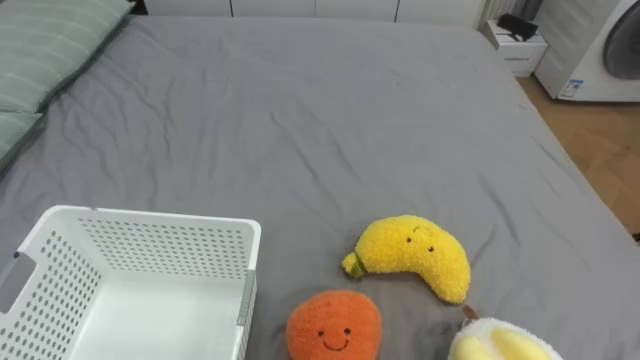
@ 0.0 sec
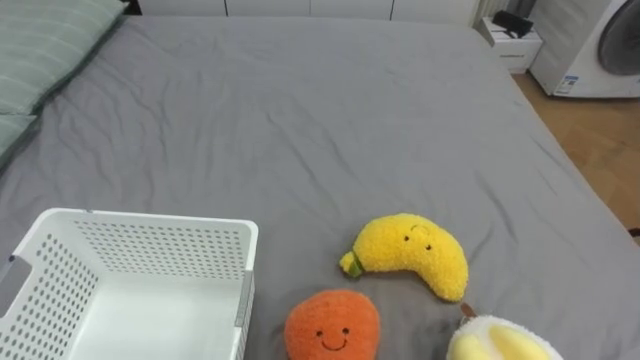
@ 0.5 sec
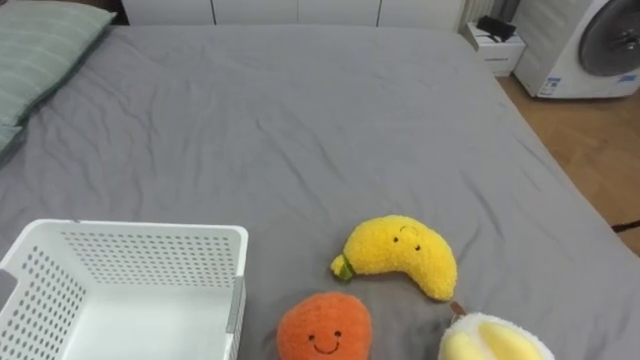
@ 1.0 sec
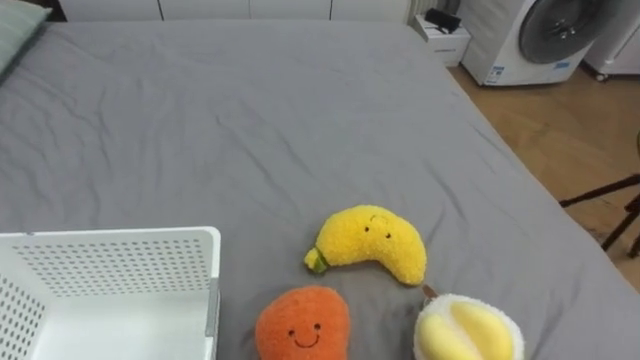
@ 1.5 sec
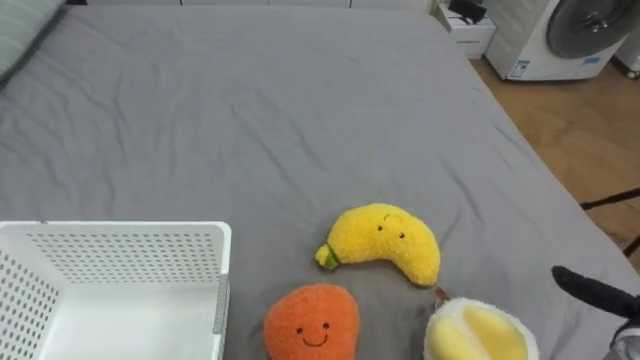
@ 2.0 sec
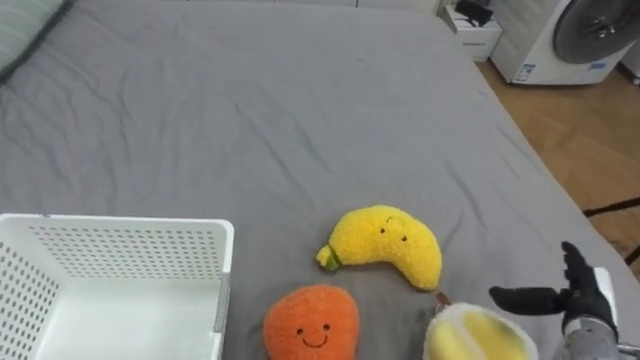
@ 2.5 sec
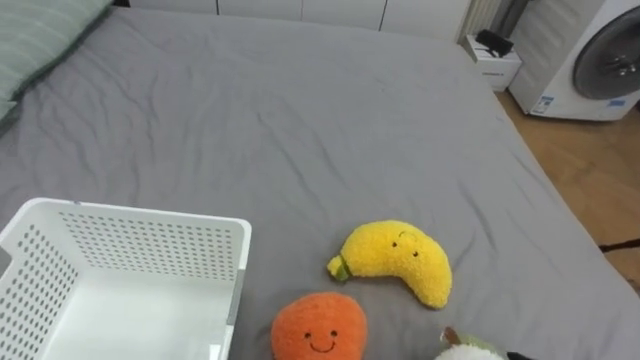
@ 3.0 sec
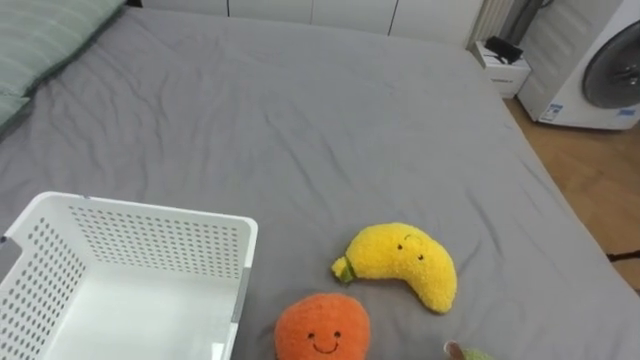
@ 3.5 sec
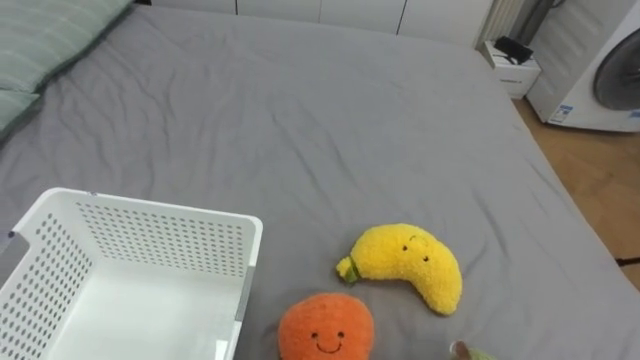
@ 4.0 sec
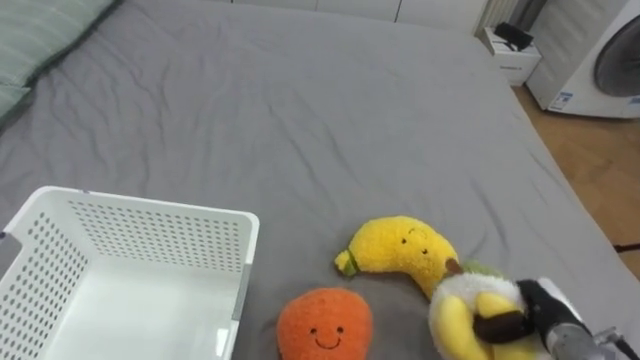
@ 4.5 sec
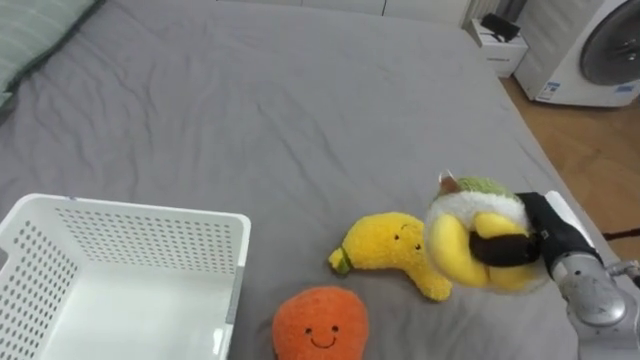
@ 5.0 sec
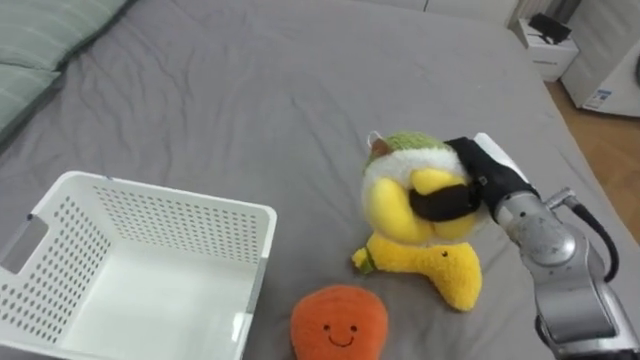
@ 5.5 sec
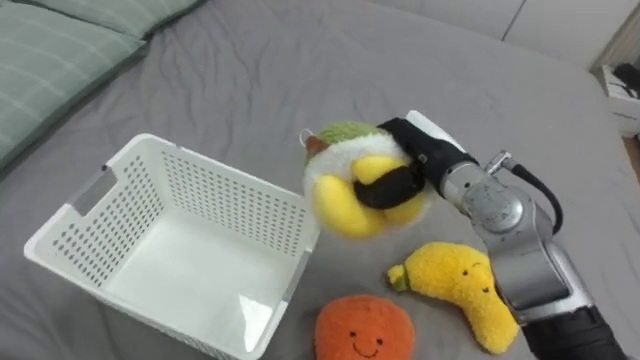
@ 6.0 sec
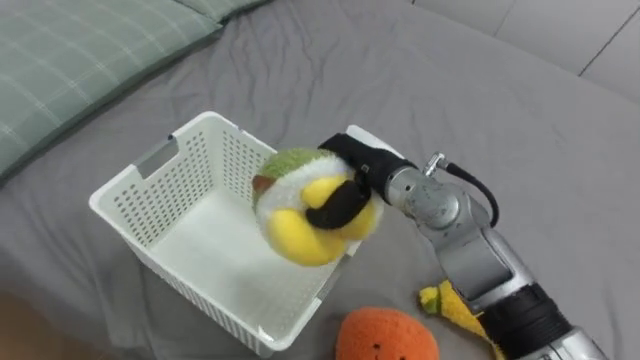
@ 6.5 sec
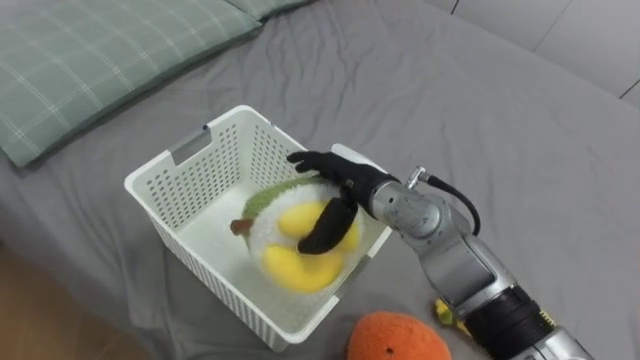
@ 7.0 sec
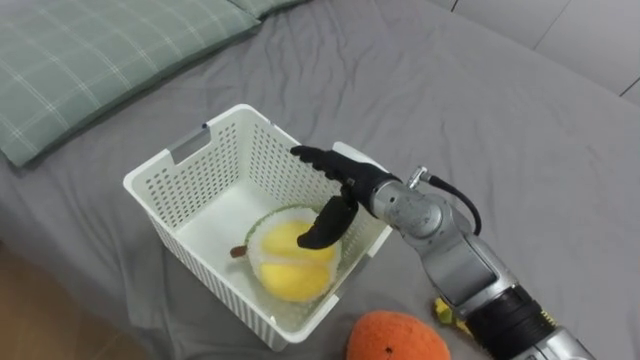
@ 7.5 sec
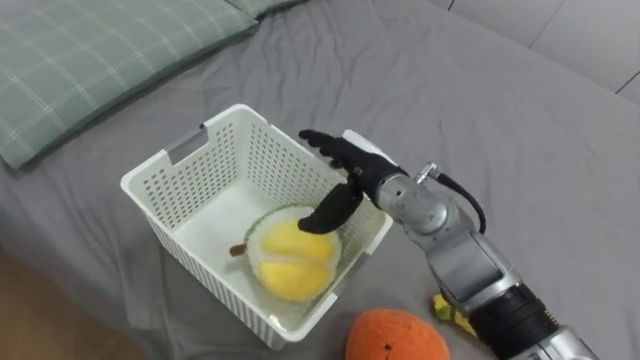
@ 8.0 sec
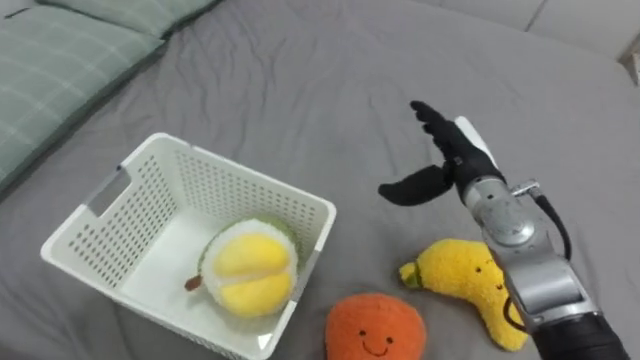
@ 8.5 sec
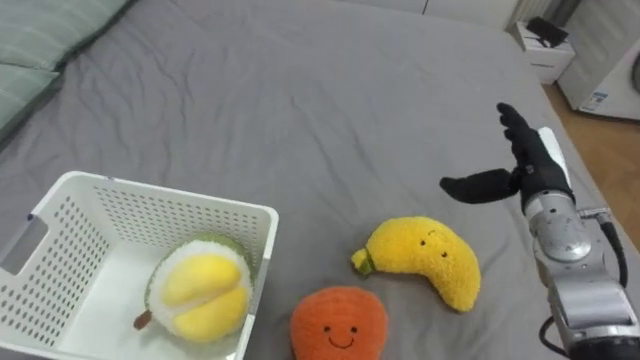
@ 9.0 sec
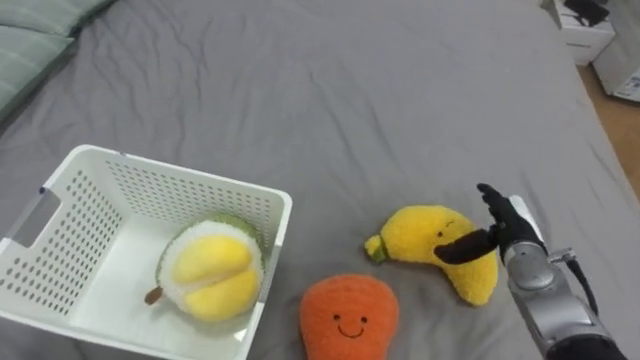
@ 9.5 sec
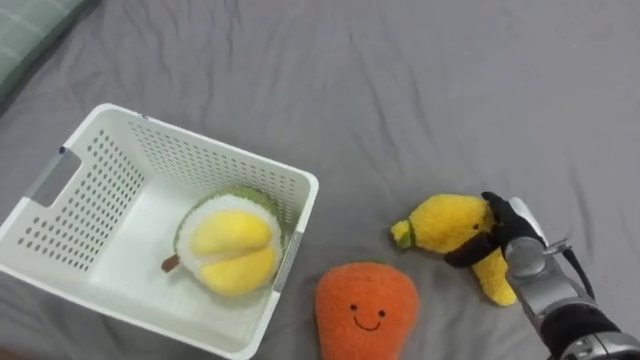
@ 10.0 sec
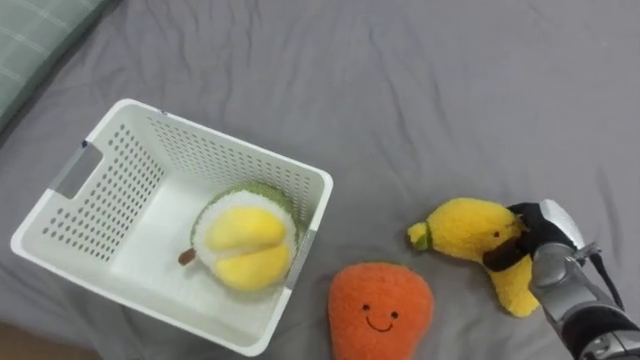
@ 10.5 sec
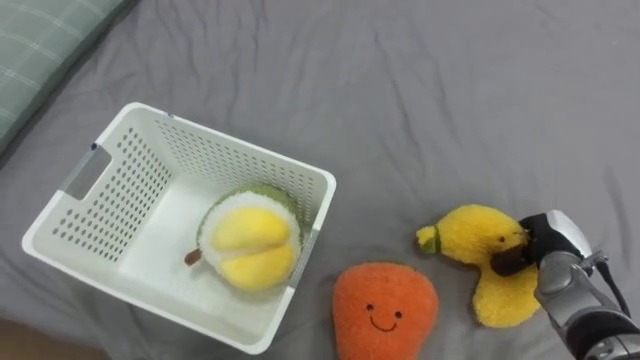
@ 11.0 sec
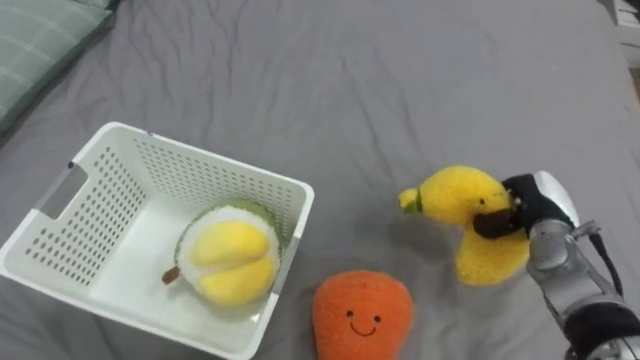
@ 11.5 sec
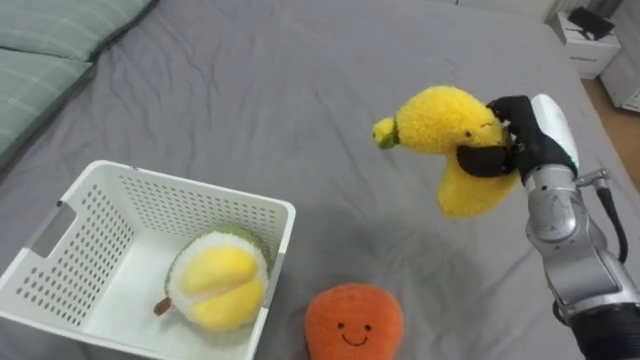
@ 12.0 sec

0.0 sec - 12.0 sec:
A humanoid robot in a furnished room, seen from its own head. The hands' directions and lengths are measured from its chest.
Task of the whole recording: Put the toys on the bed into the basket on the left.
6.0 sec - 8.0 sec: The right hand shifts roughly 10 cm to the left, and opens up.
8.0 sec - 10.0 sec: The right hand heads to the right and downward, covering some 25 cm.
10.0 sec - 12.0 sec: The right hand is displaced upward by about 15 cm, and closes its fingers.

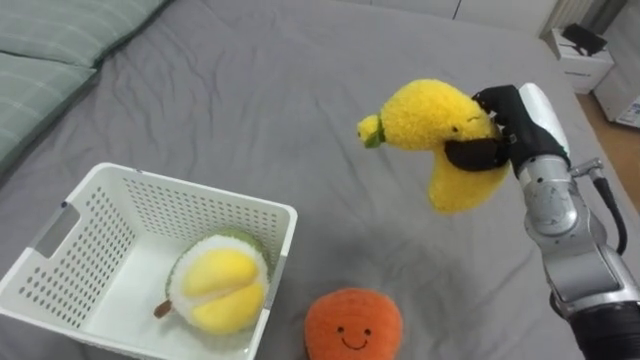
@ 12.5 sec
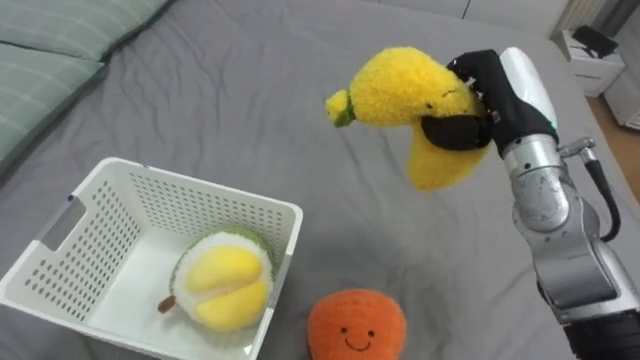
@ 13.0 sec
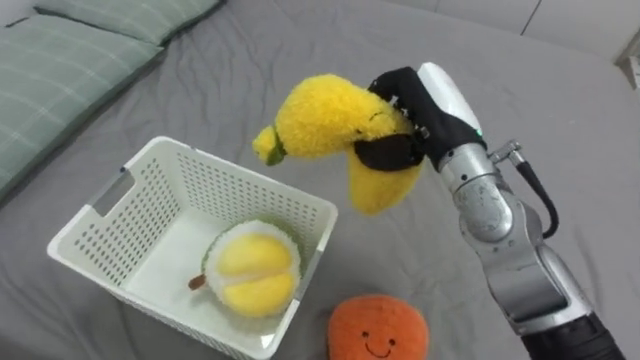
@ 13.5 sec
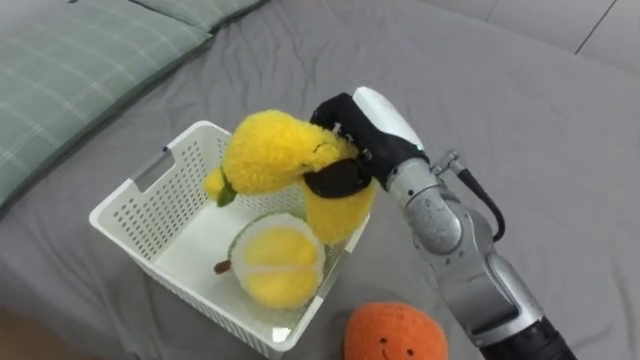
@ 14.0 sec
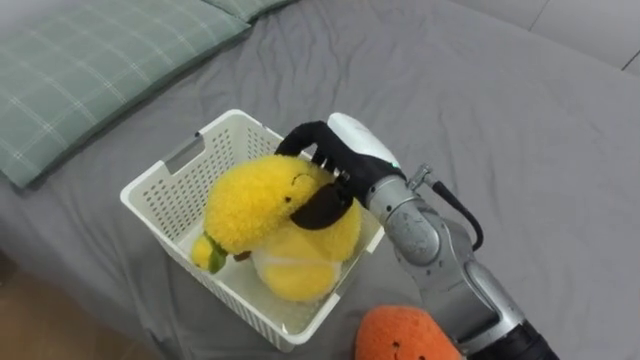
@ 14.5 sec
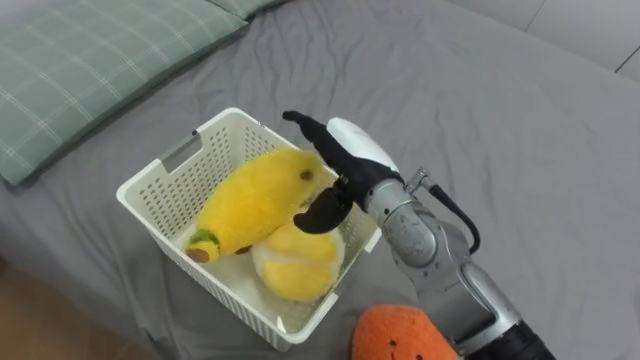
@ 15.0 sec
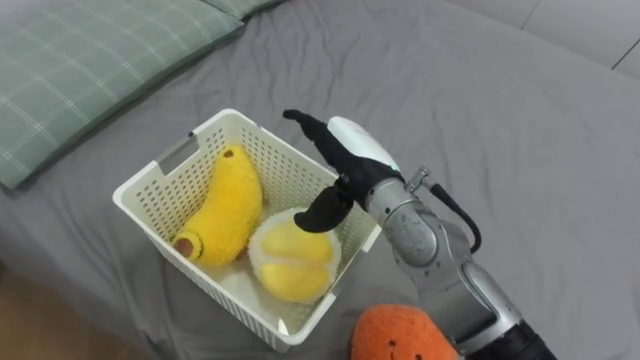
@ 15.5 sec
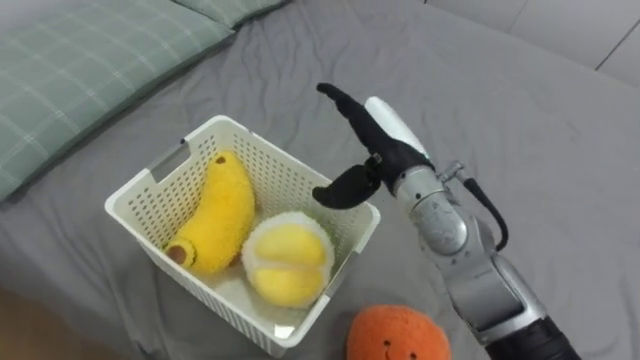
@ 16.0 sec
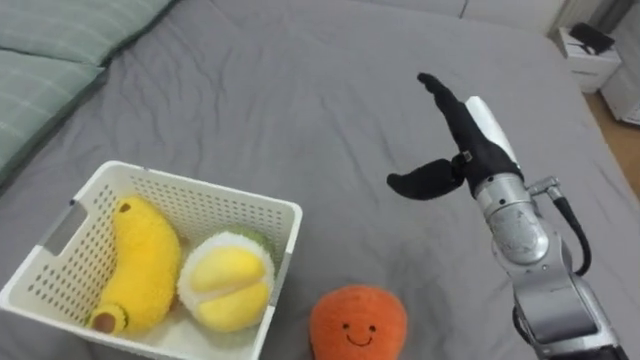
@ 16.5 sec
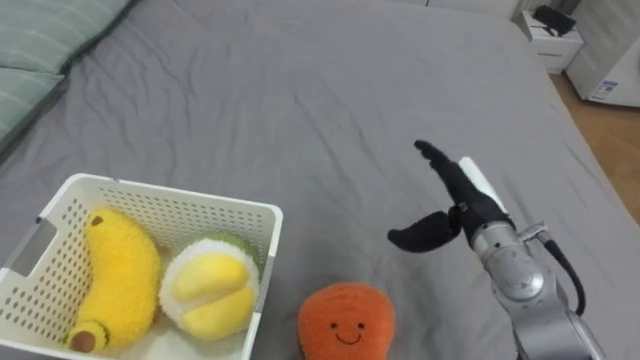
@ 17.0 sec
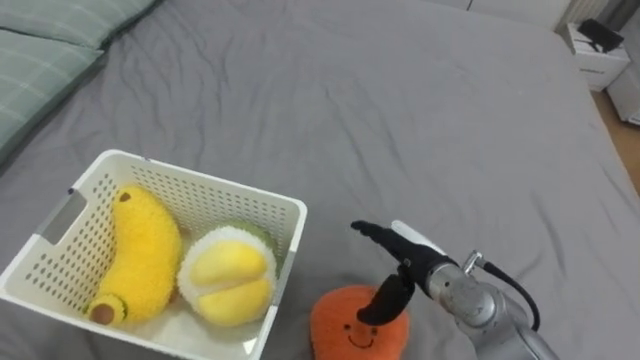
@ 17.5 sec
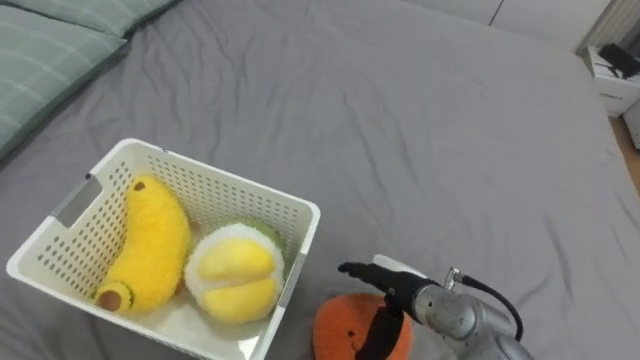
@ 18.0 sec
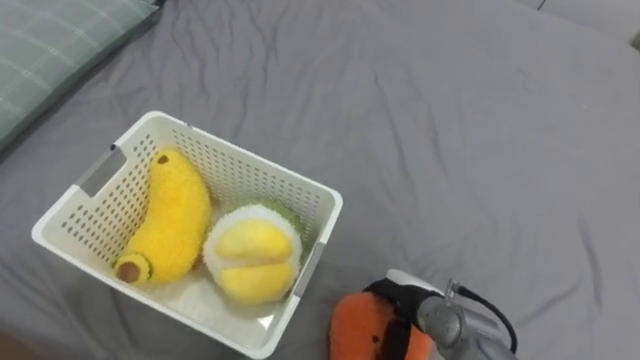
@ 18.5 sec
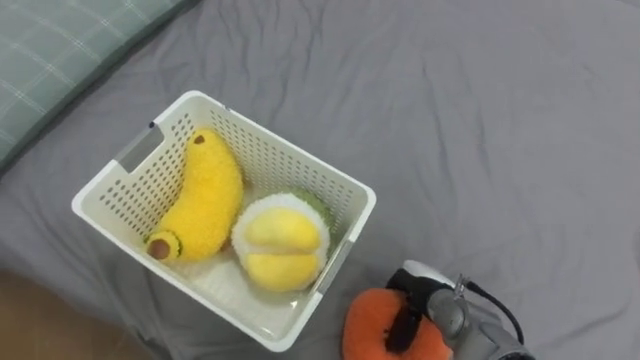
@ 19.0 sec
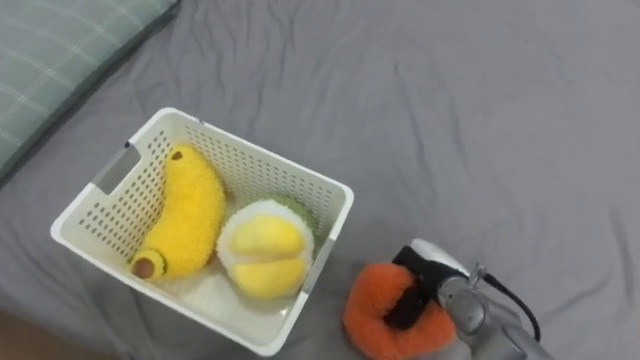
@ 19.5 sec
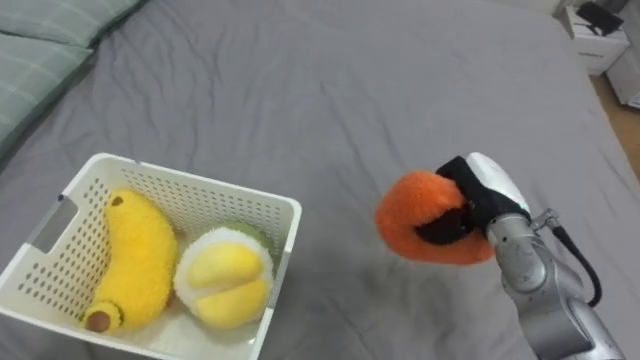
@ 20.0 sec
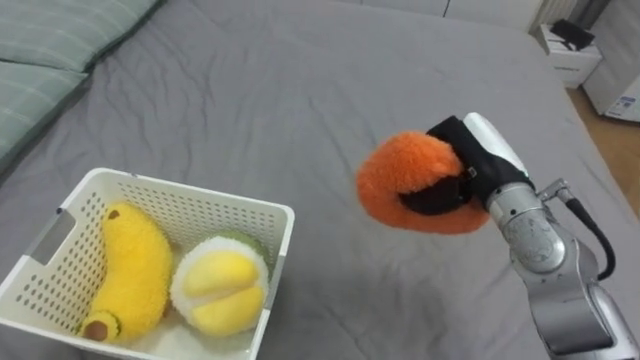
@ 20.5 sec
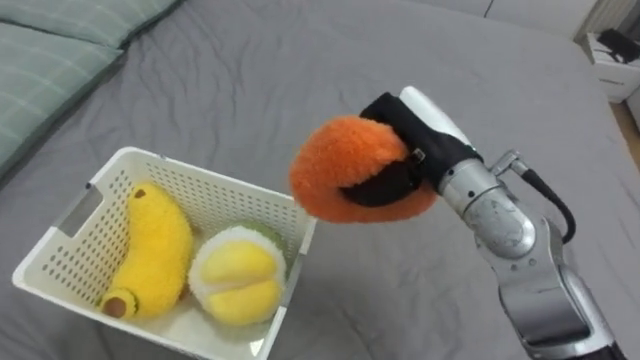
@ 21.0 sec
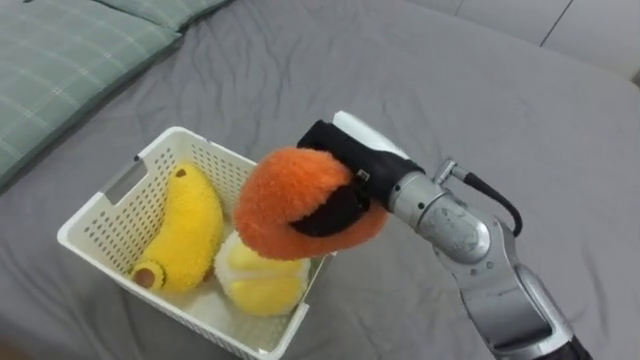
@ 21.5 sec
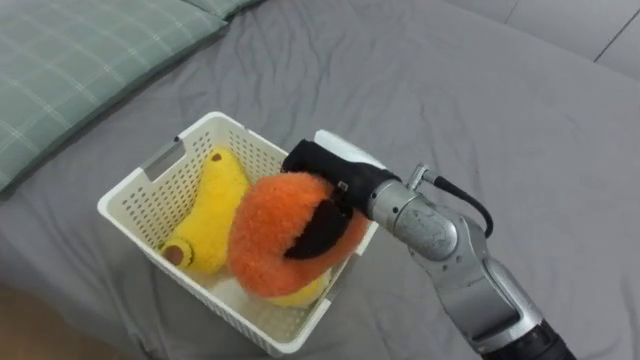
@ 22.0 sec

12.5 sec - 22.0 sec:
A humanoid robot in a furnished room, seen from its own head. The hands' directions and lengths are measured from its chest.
Task of the whole recording: Put the toys on the bed into the basket on the left.
12.5 sec - 14.5 sec: The right hand moves to the left, approximately 20 cm.
14.5 sec - 16.5 sec: The right hand travels to the right by approximately 15 cm, and opens its fingers.
16.5 sec - 18.0 sec: The right hand heads downward, backward and to the left, covering about 20 cm.
18.0 sec - 20.0 sec: The right hand shifts approximately 15 cm to the right, upward and forward, and closes up.
20.0 sec - 22.0 sec: The right hand travels to the left and upward by roughly 20 cm.
